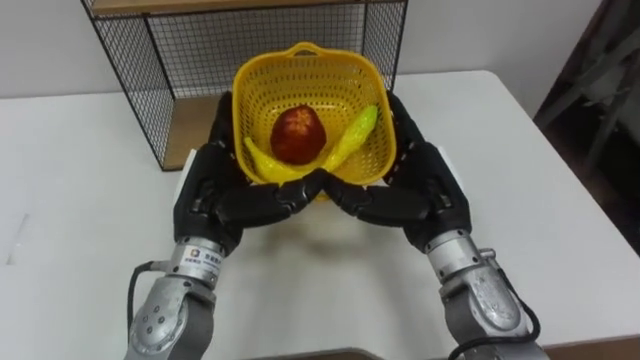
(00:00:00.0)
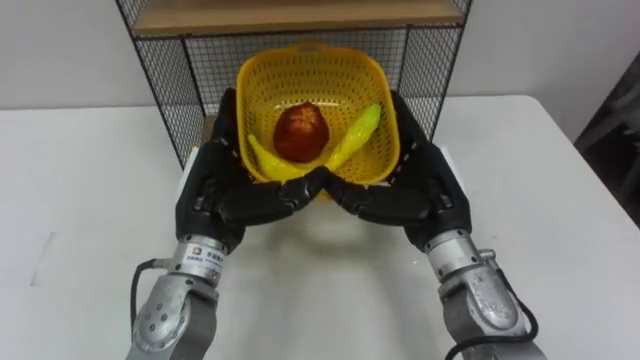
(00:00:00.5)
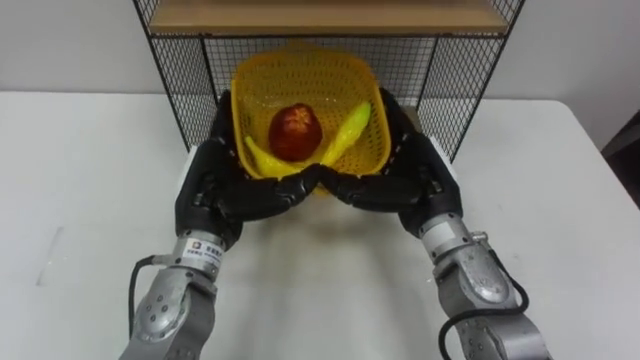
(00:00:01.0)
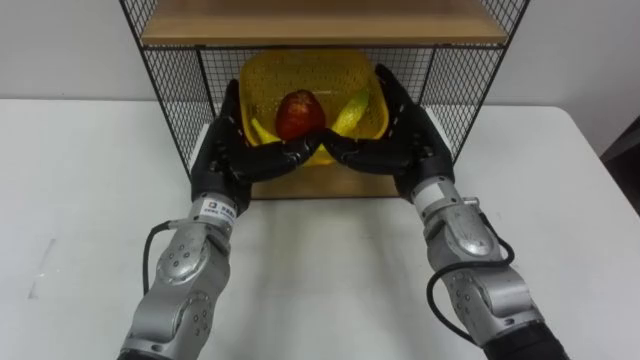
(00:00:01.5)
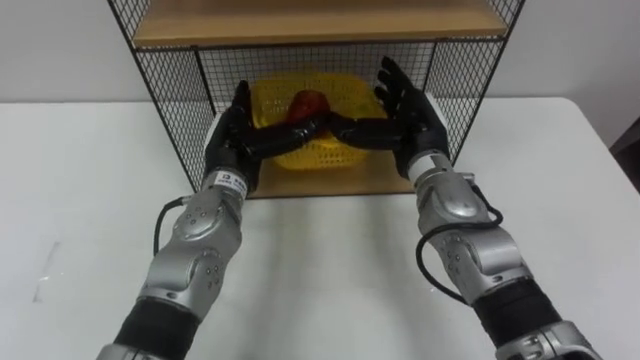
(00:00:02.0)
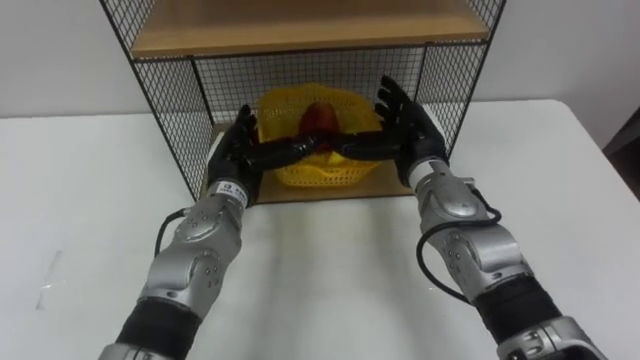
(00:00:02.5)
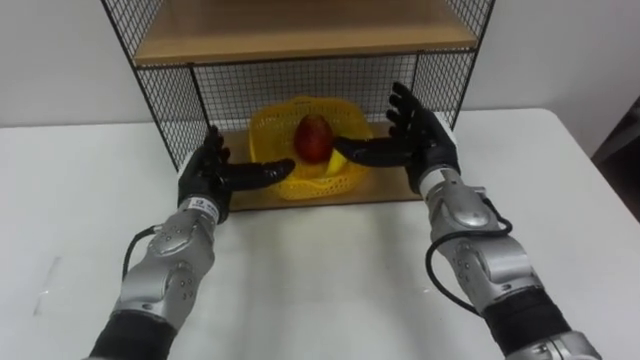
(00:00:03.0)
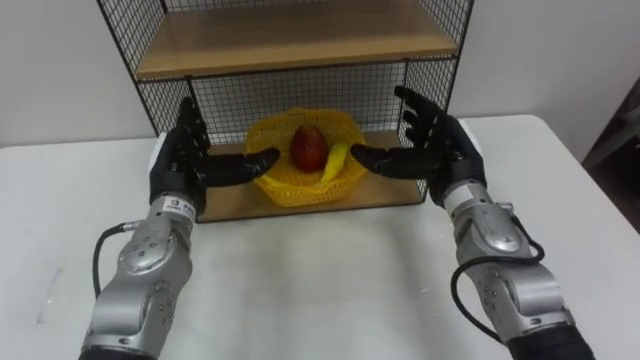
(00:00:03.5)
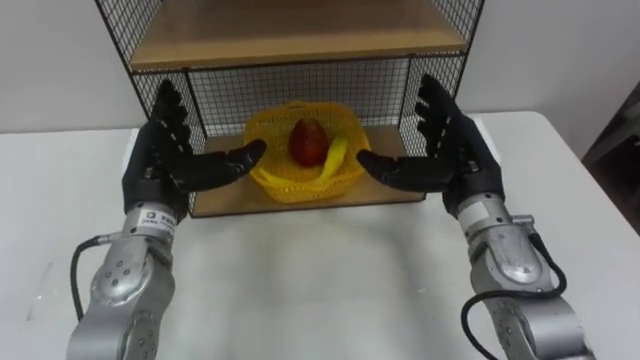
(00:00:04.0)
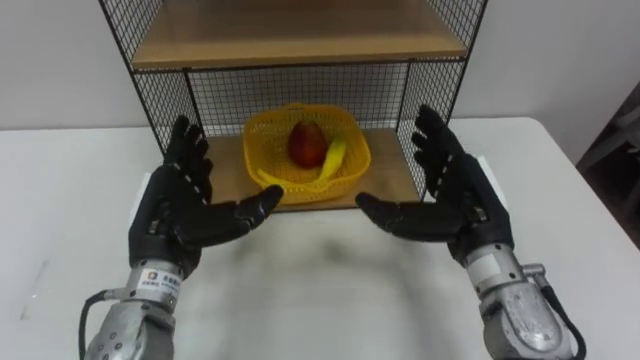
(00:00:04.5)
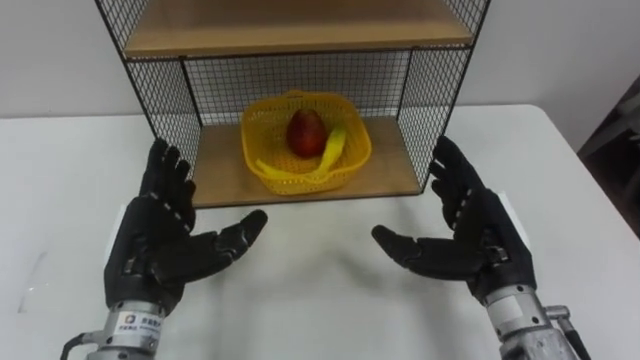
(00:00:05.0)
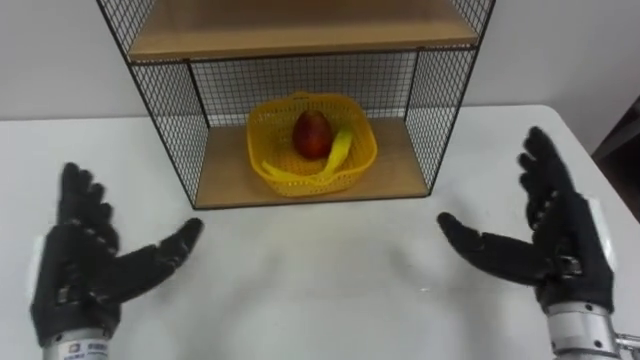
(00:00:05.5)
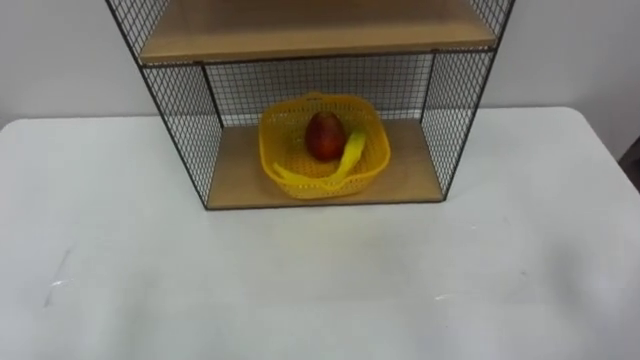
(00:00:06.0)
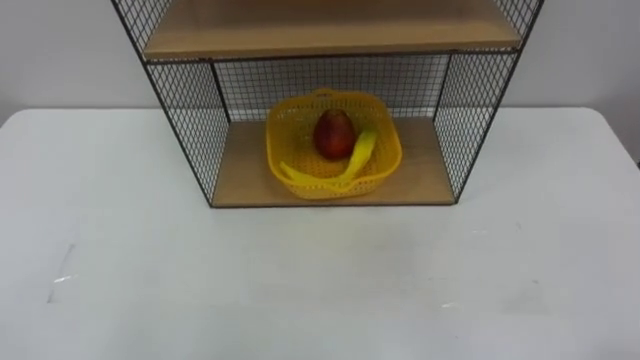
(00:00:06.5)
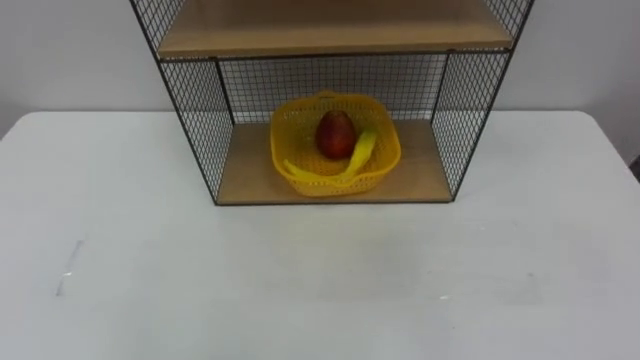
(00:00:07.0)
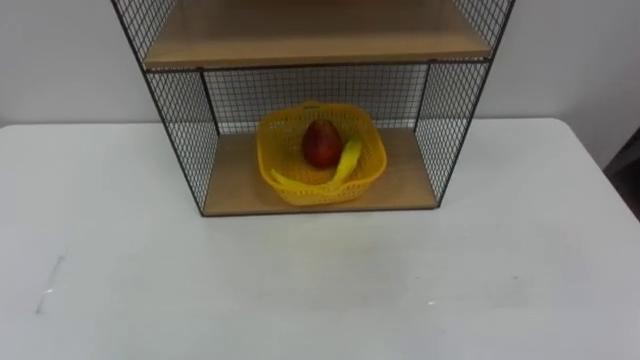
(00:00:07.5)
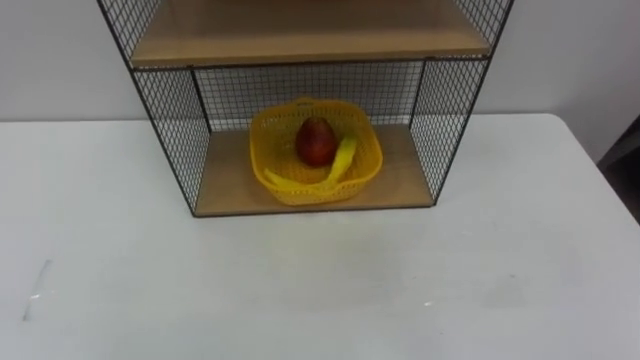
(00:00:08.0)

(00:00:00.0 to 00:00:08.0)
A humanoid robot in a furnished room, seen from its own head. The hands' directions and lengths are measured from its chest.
Task of the whole recording: Put the fruit on the table into the basket, then place the basket on the shelf.
00:00:00.0 - 00:00:02.0: Both hands move forward, roughly 10 cm.
00:00:02.0 - 00:00:04.0: The left hand is displaced to the left and backward by some 10 cm. The right hand heads to the right and backward, covering about 10 cm.

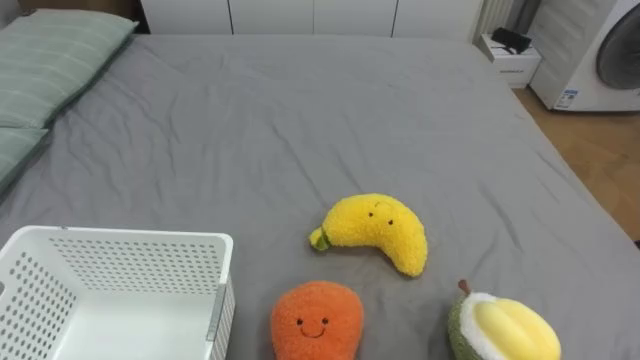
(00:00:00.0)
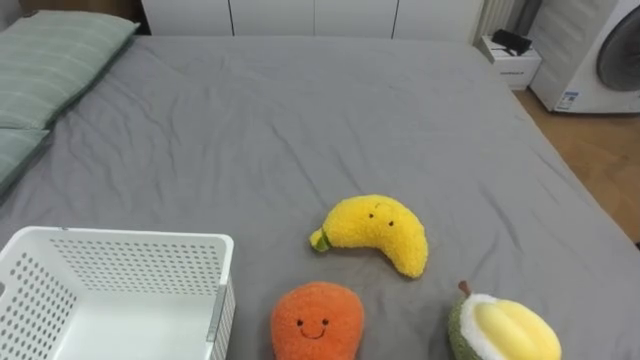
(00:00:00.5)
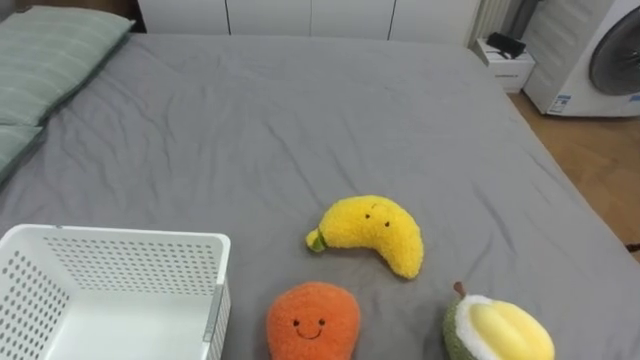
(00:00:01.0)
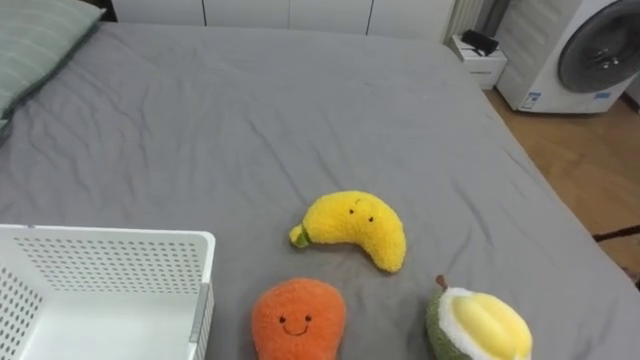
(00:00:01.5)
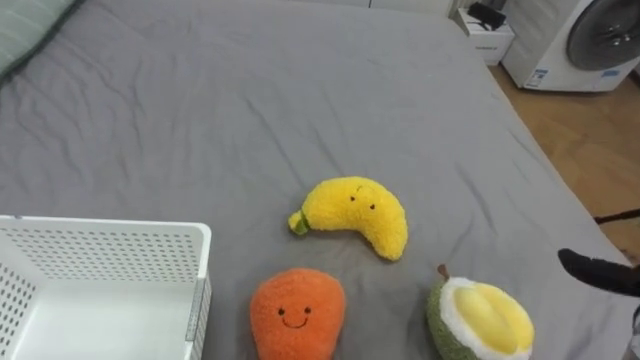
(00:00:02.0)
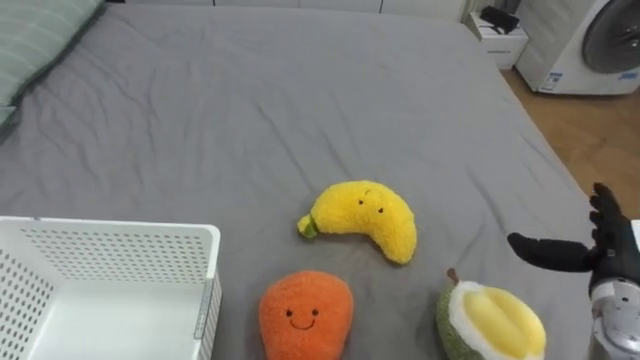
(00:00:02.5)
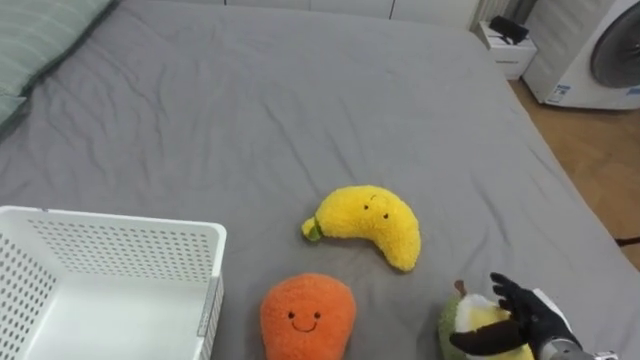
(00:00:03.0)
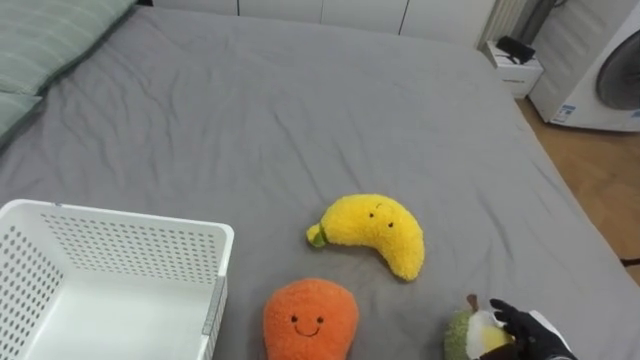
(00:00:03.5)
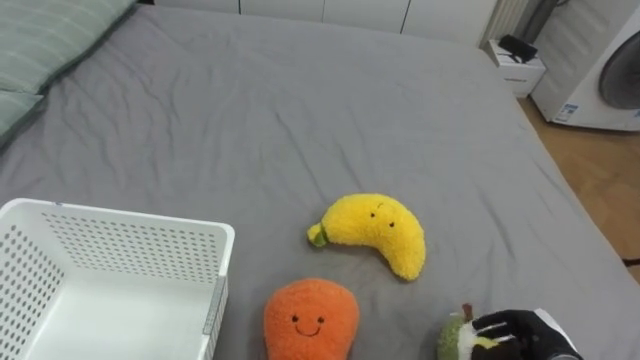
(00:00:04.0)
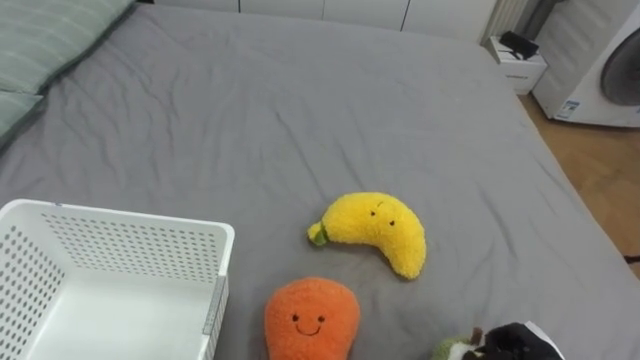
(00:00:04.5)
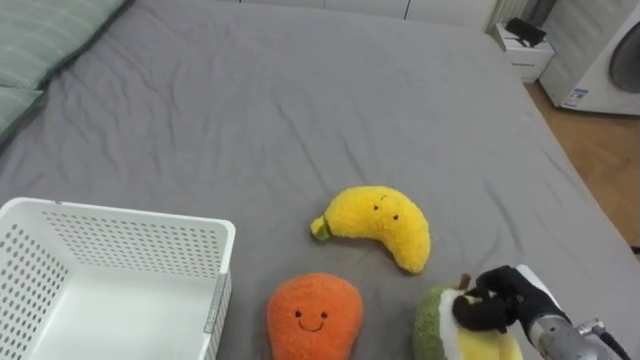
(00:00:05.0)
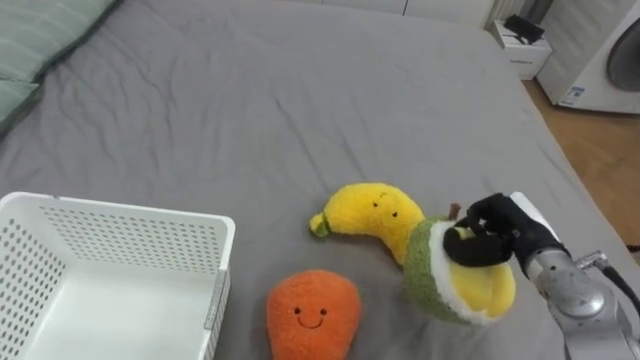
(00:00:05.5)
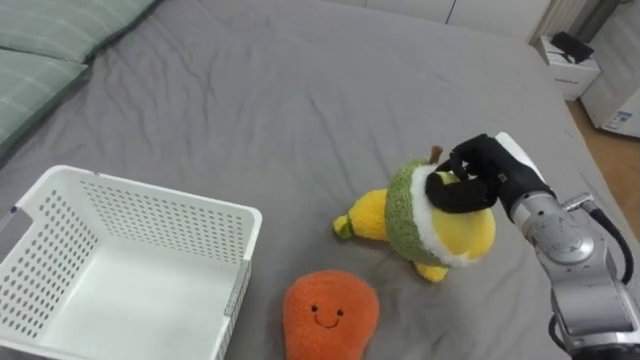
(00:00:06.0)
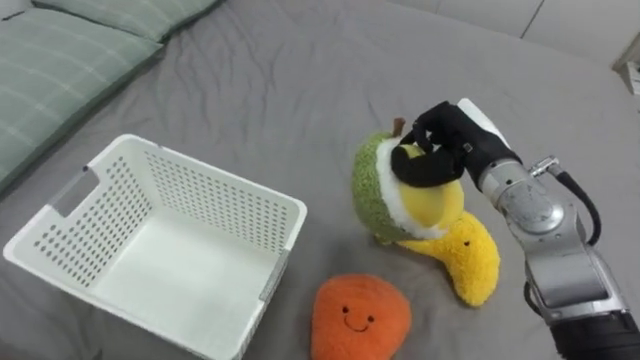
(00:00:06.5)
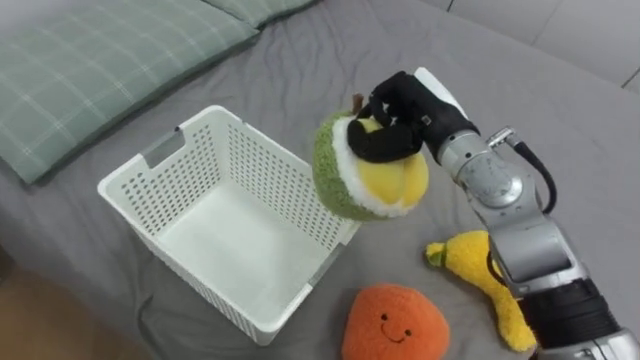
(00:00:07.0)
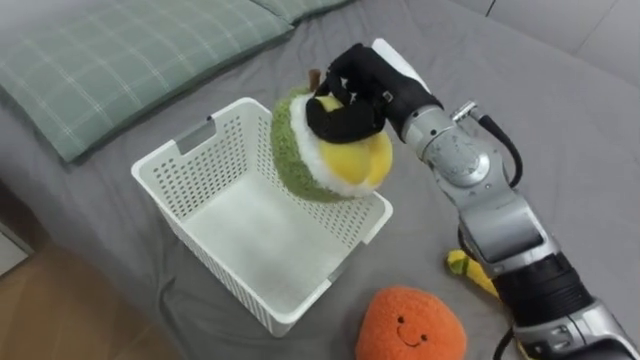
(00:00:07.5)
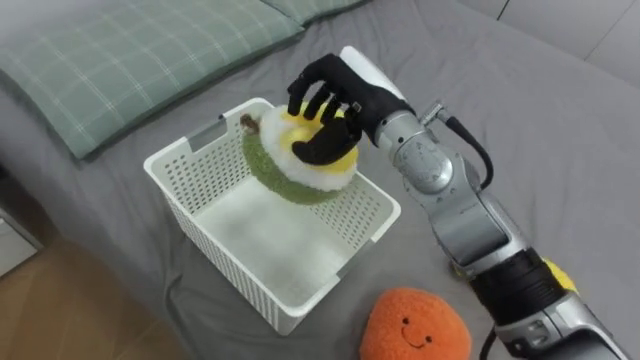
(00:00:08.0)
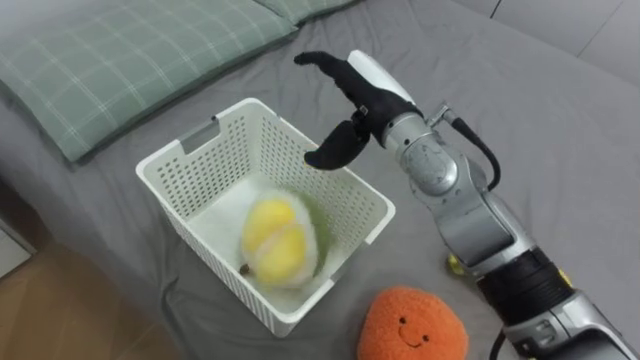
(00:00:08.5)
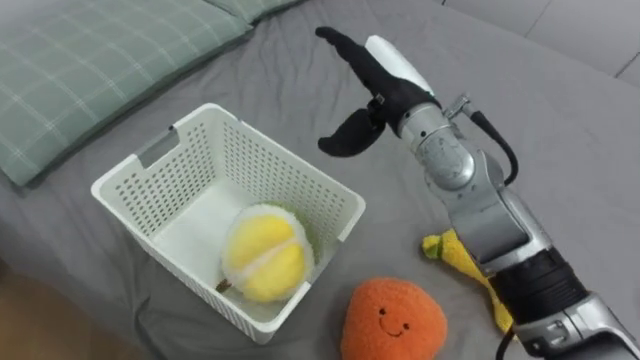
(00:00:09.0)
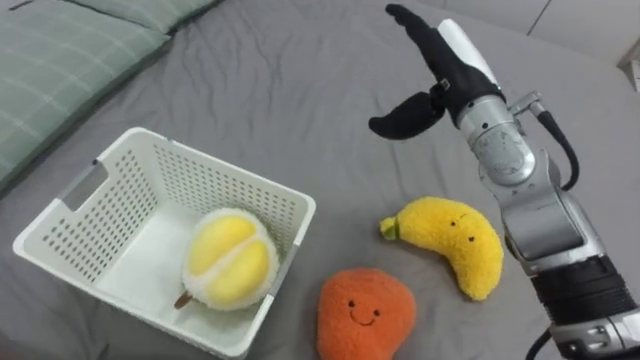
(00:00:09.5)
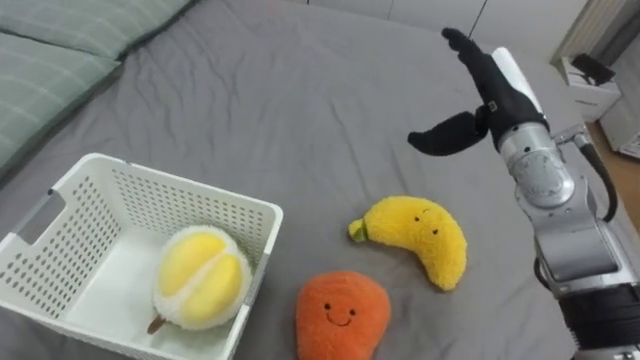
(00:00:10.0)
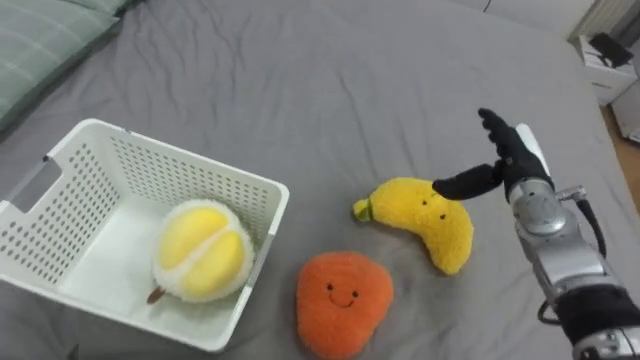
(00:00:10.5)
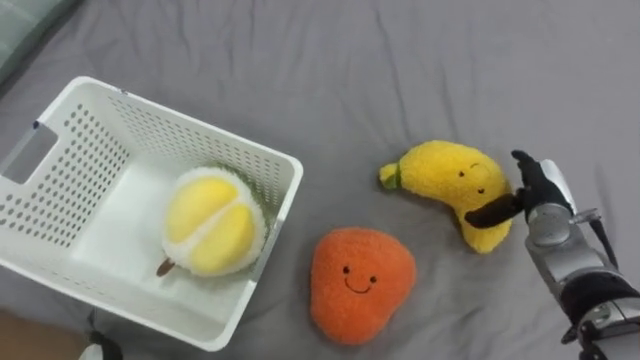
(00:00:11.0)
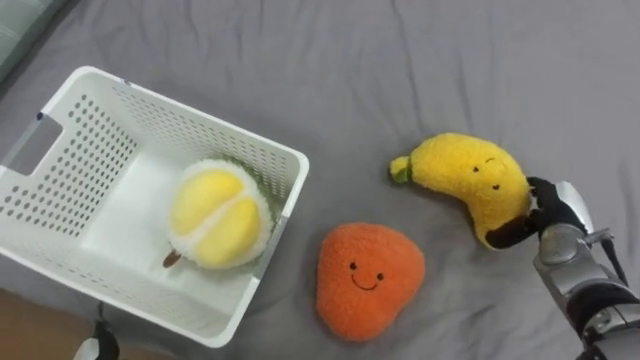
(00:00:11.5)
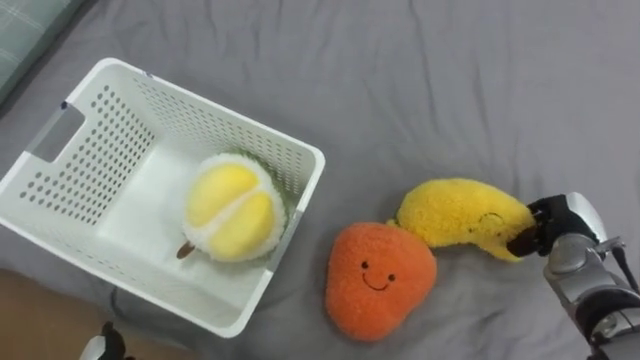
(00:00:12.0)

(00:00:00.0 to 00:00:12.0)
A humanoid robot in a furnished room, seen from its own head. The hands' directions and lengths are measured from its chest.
Task of the whole recording: Put the toys on the bed into the basket on the left.
00:00:04.0 - 00:00:06.0: The right hand shifts approximately 25 cm upward and forward, and closes up.
00:00:06.0 - 00:00:08.0: The right hand travels to the left and upward by about 20 cm.
00:00:08.0 - 00:00:10.0: The right hand moves to the right, some 15 cm, and opens.
00:00:10.0 - 00:00:12.0: The right hand goes roughly 25 cm downward and to the right, and closes its fingers.
